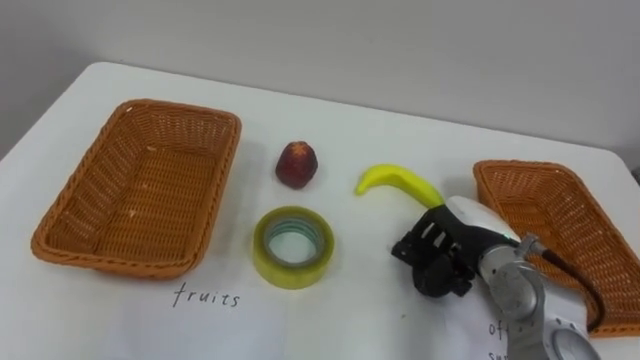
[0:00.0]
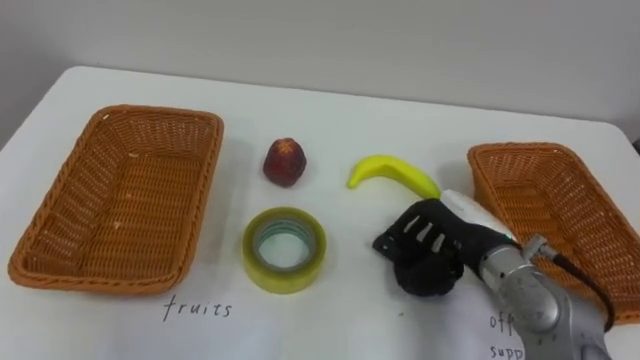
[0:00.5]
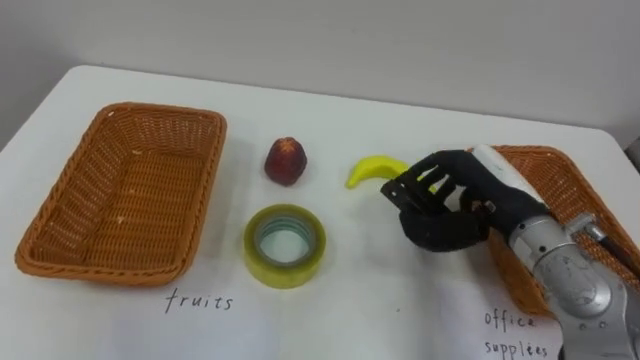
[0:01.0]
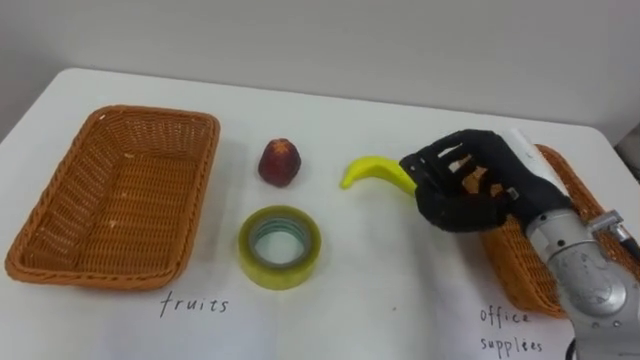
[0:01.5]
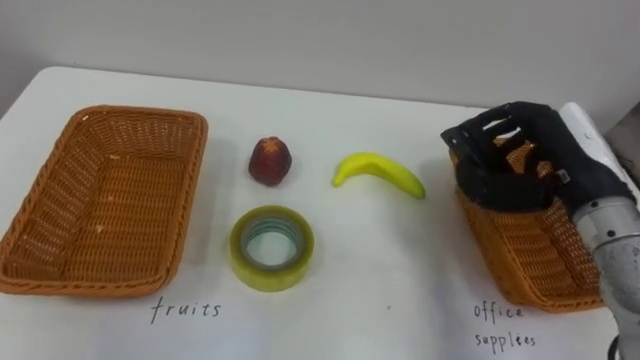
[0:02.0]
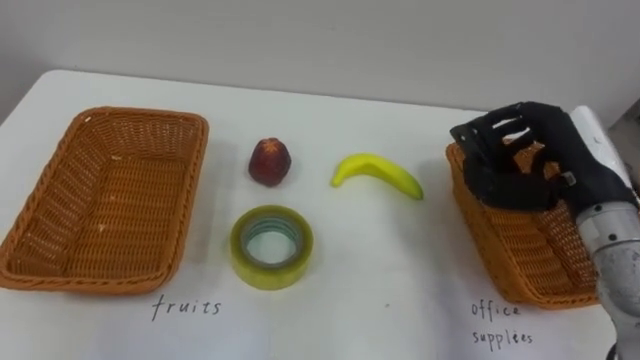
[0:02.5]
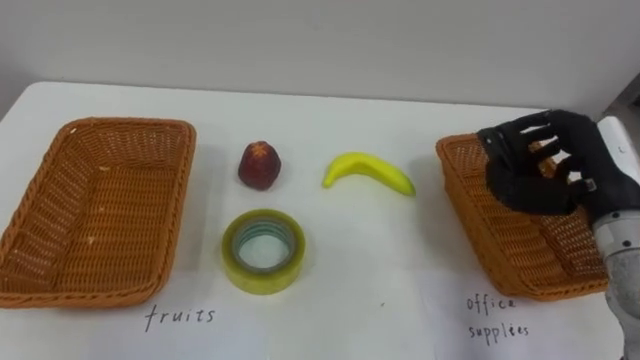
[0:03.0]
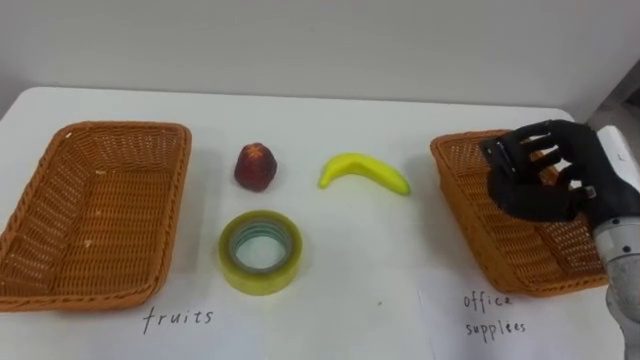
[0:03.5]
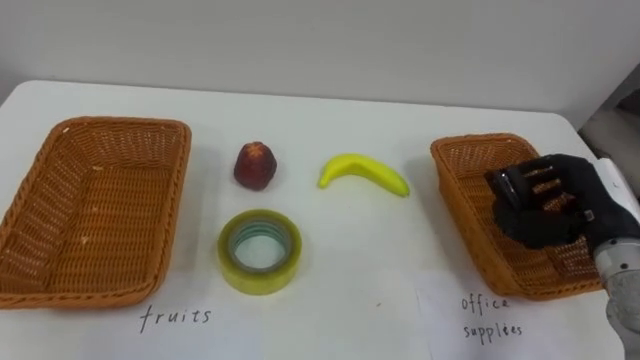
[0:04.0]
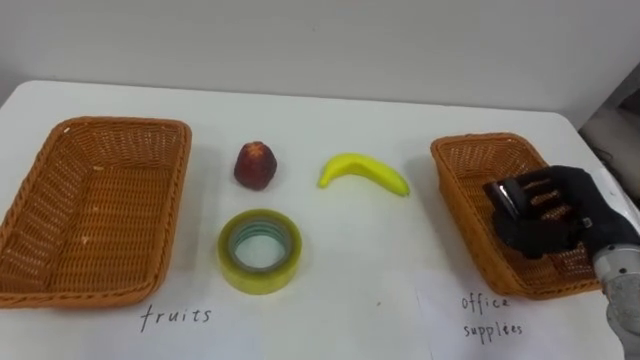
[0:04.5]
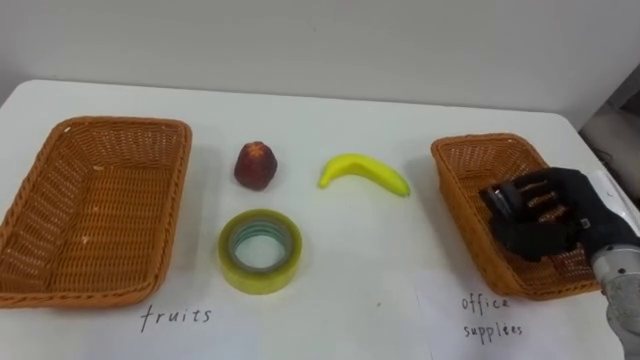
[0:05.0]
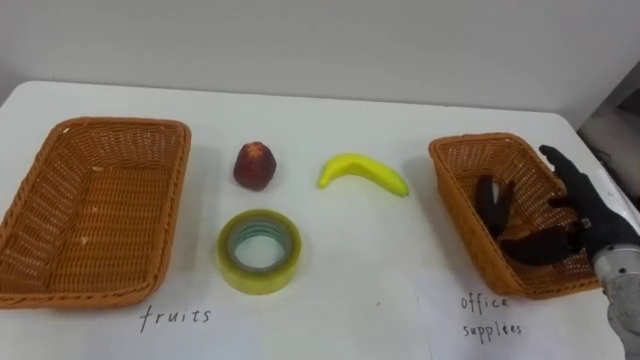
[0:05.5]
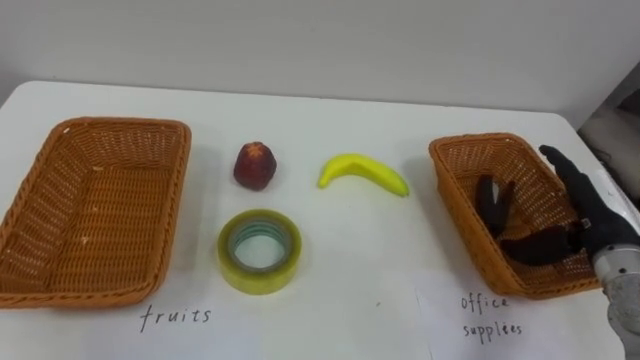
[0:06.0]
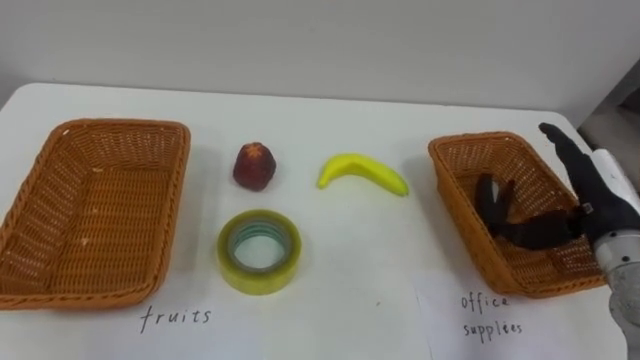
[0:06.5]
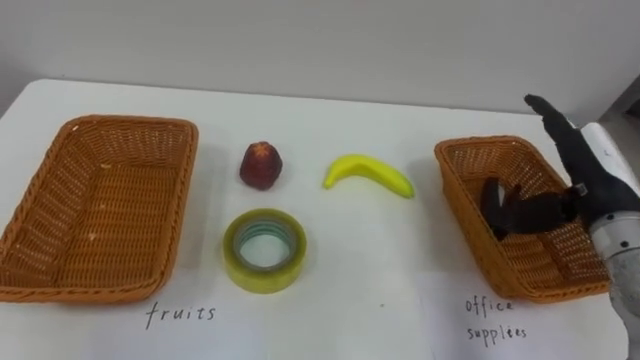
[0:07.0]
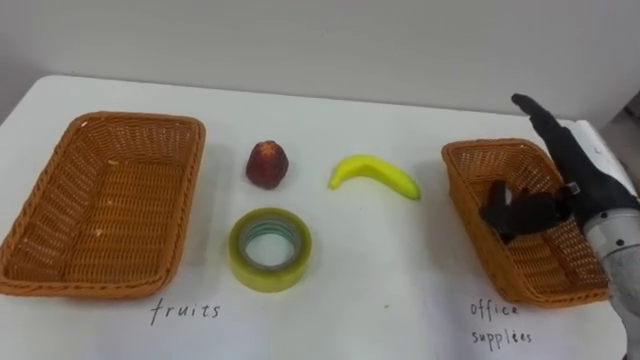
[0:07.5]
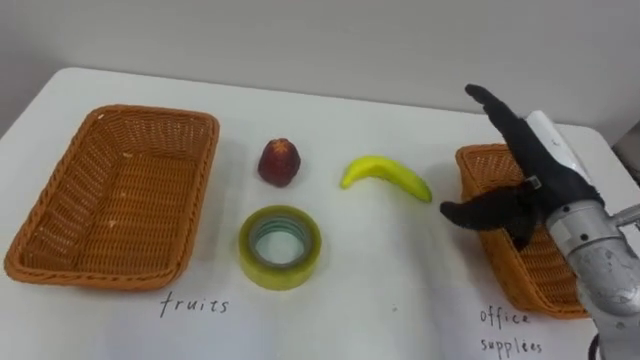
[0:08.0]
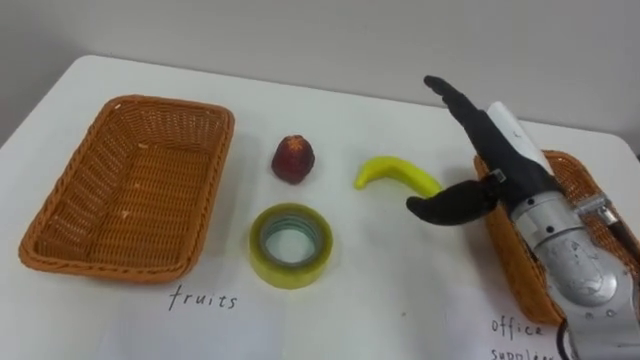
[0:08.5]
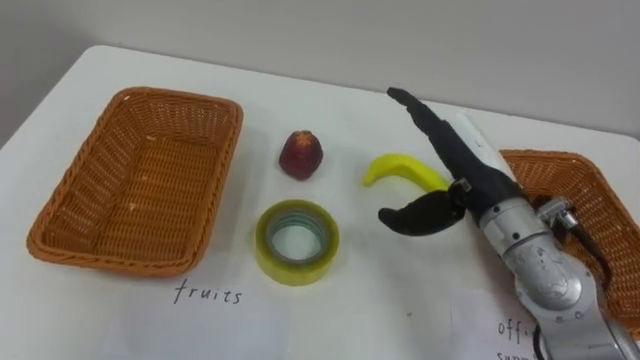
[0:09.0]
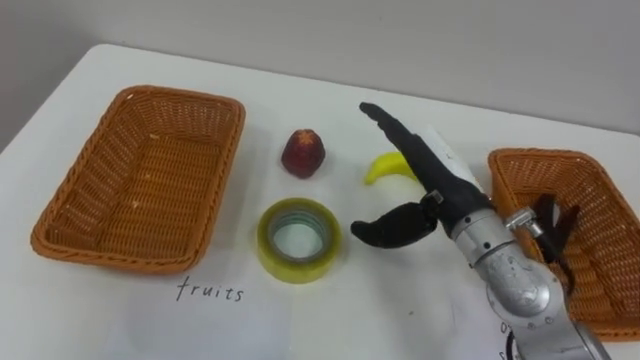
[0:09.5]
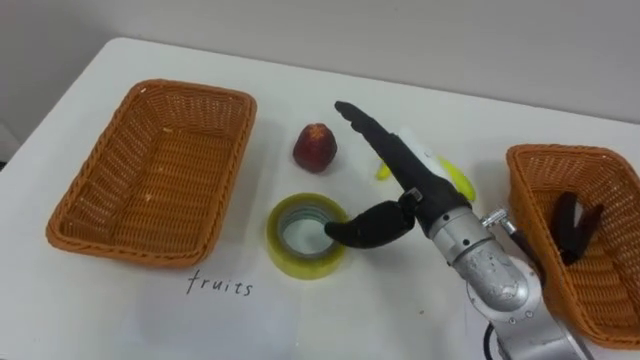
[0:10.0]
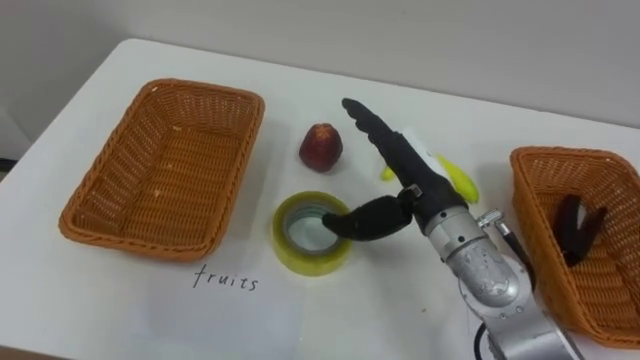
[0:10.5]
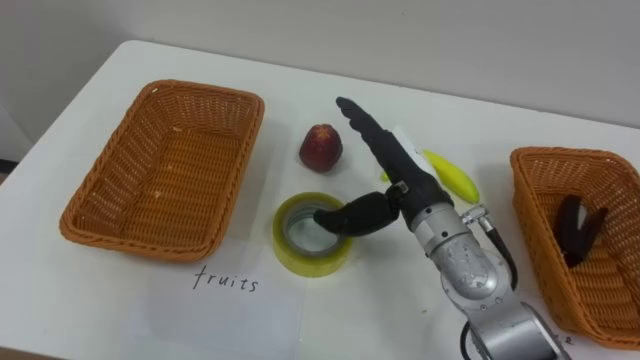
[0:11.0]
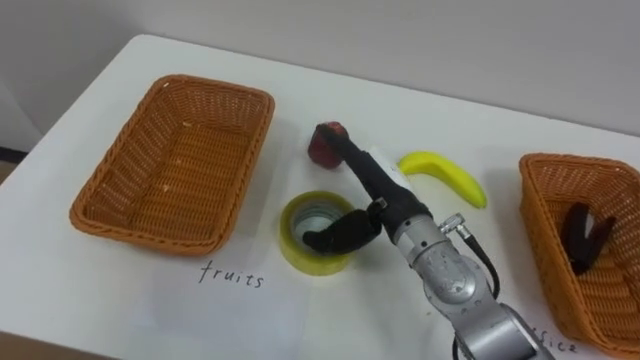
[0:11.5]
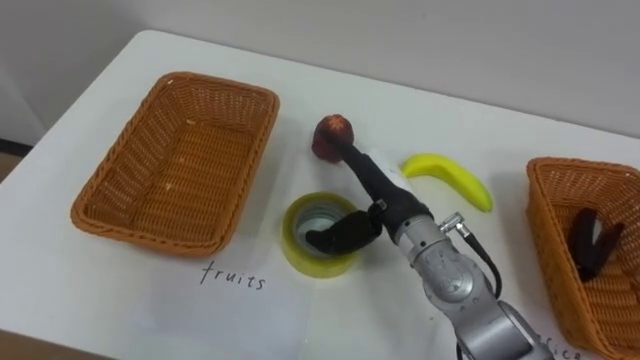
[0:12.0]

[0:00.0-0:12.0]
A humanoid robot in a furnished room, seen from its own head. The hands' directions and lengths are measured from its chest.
Task of the whole recording: Separate the items on the table and place them into the two baskets.
0:00.0 to 0:02.0: The right hand shifts roughly 15 cm upward and to the right.
0:02.0 to 0:04.0: The right hand travels downward and to the right by about 10 cm.
0:04.0 to 0:06.0: The right hand opens its fingers.
0:06.0 to 0:08.0: The right hand goes some 10 cm to the left and upward.
0:08.0 to 0:10.0: The right hand is displaced to the left by about 15 cm.
0:10.0 to 0:12.0: The right hand ends up approximately 5 cm from where it was.

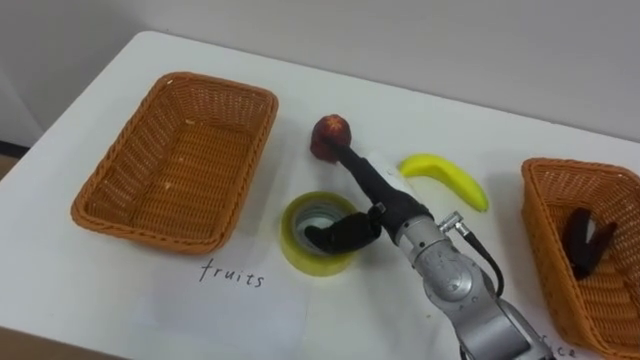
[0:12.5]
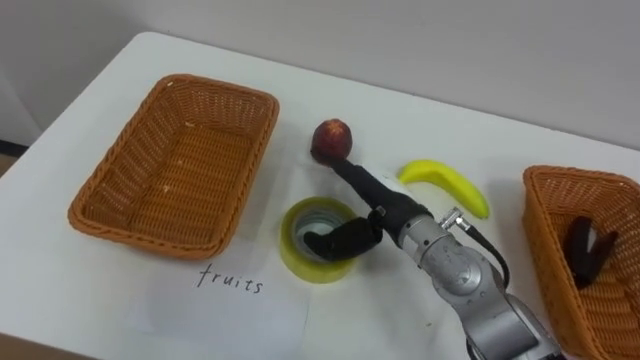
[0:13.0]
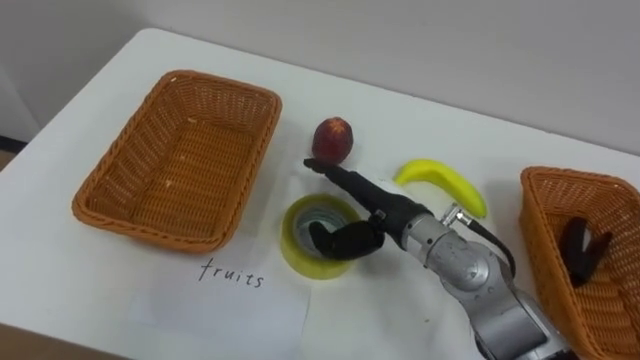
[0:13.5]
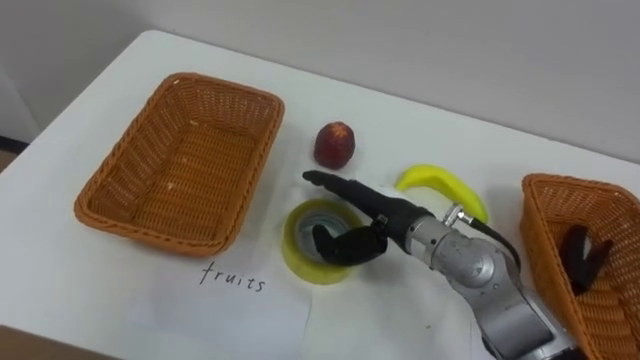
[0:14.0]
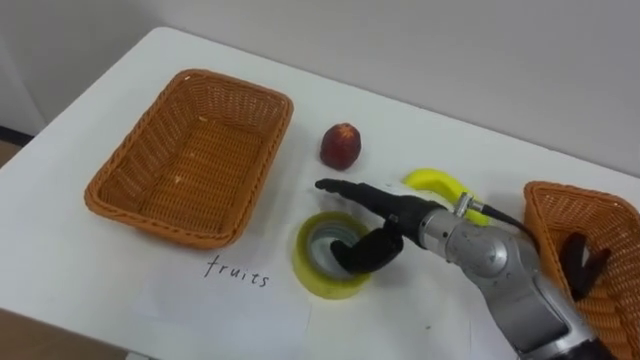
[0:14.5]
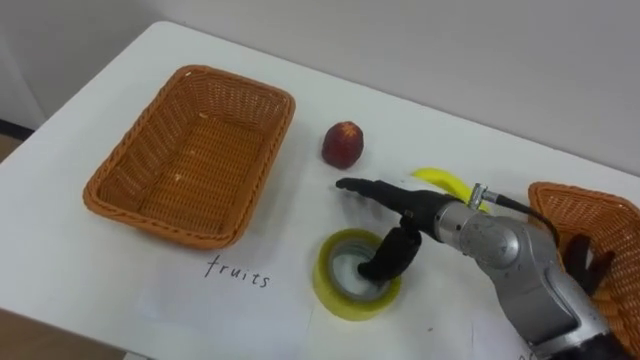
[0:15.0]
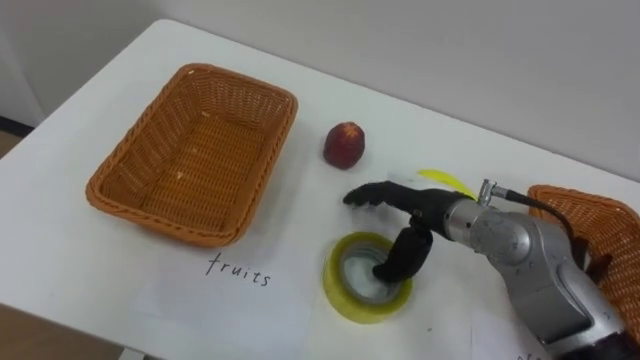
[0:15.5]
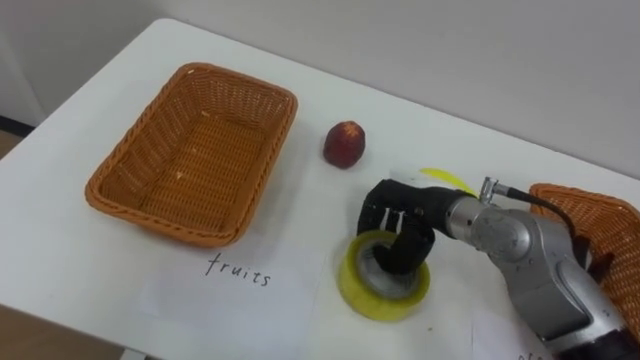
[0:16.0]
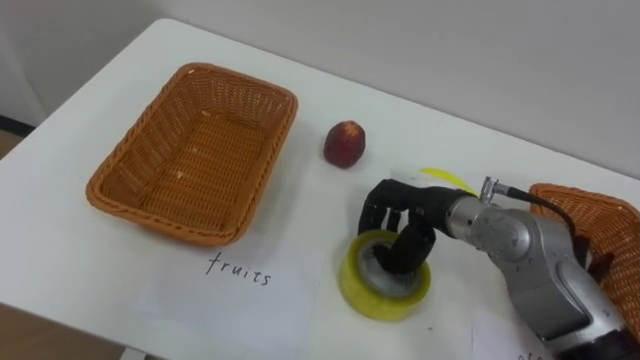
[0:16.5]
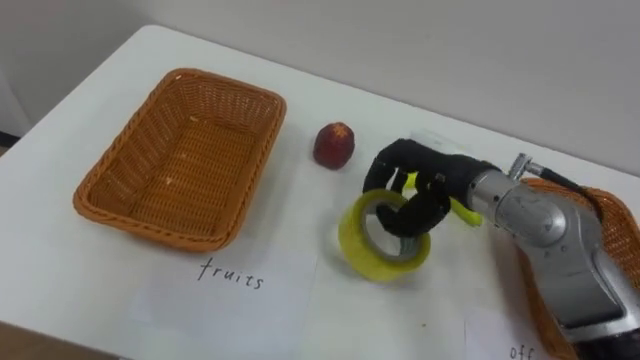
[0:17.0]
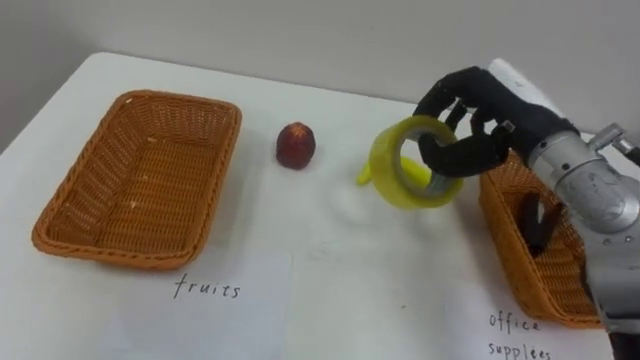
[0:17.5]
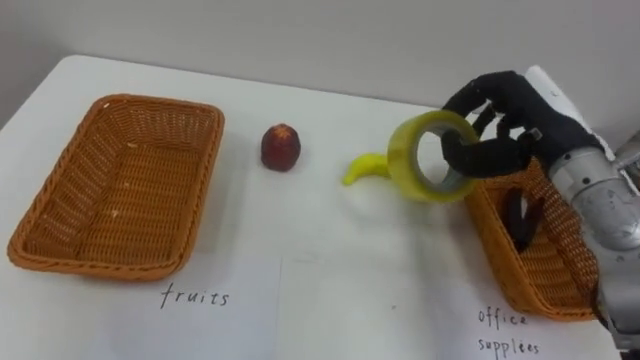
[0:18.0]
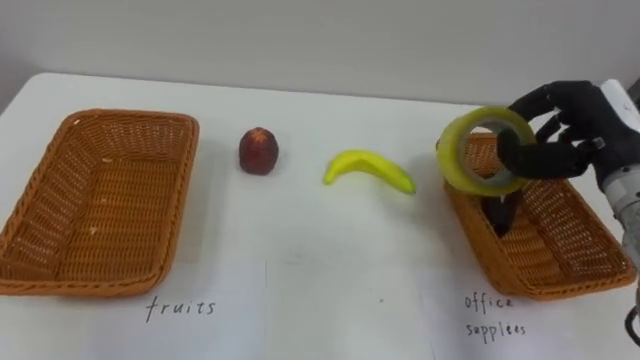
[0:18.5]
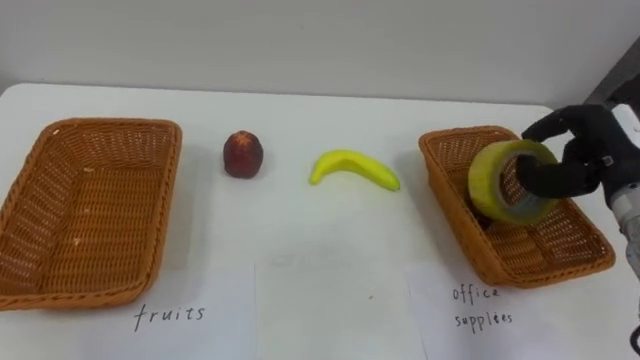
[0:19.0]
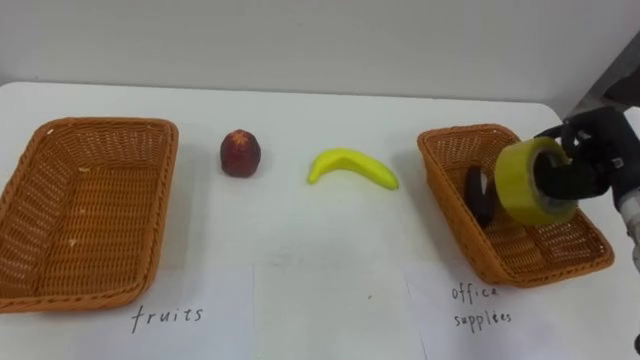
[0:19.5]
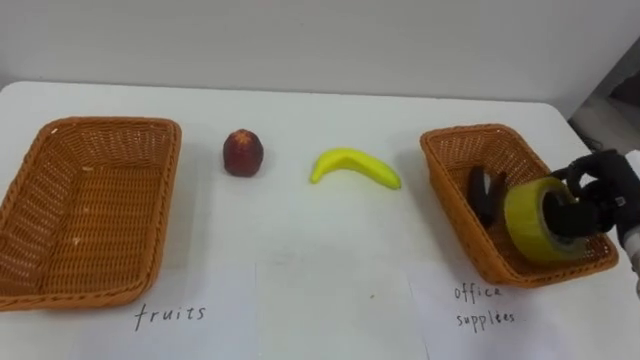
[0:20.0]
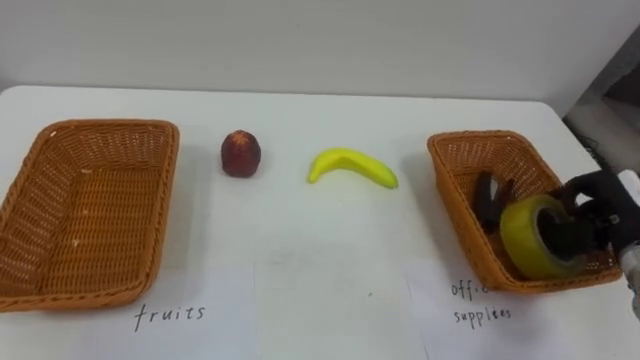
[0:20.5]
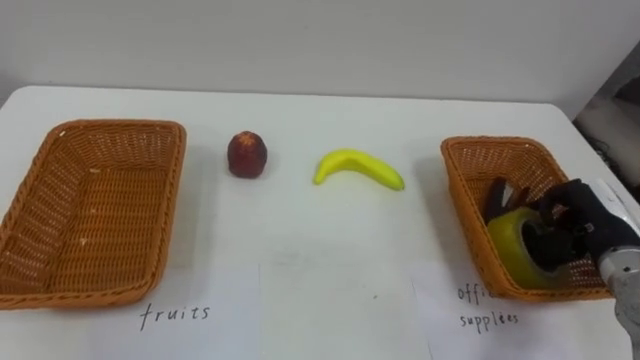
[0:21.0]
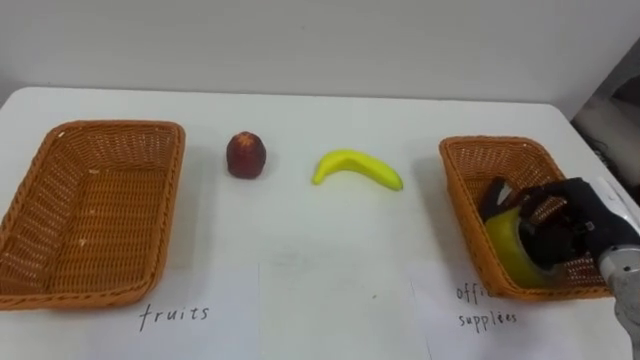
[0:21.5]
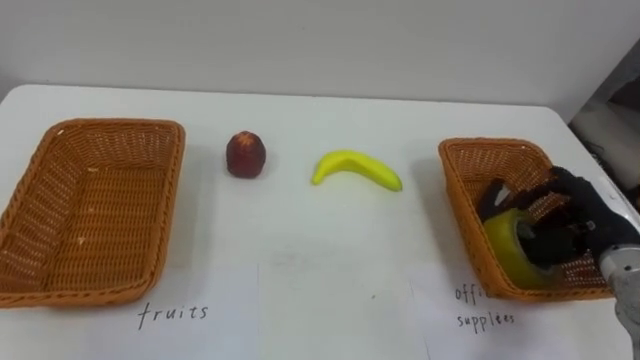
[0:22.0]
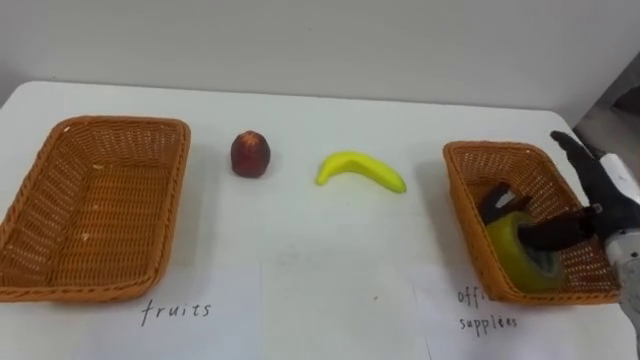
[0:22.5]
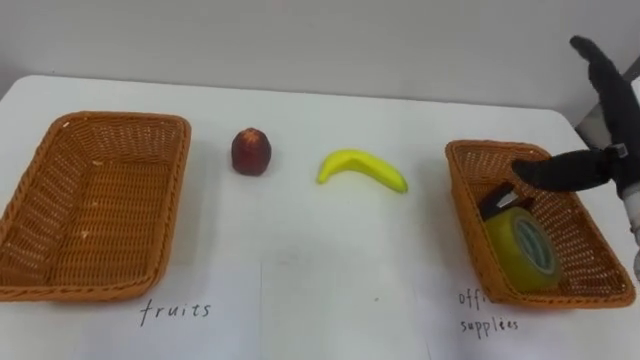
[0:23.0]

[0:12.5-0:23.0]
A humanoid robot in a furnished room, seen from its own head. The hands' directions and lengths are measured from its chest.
Task of the whole recording: Separate the items on the table and place them into the two baskets.
0:14.5 to 0:16.5: The right hand closes its fingers.
0:16.5 to 0:19.0: The right hand heads to the right, covering some 20 cm.
0:19.0 to 0:21.0: The right hand moves downward, roughly 10 cm.
0:21.0 to 0:23.0: The right hand is displaced upward by some 15 cm, and opens its fingers.
